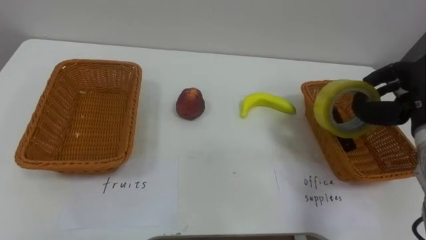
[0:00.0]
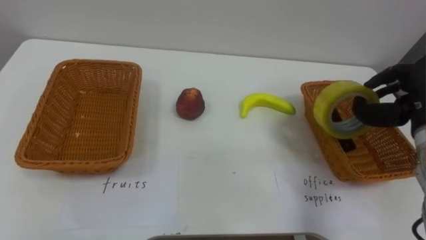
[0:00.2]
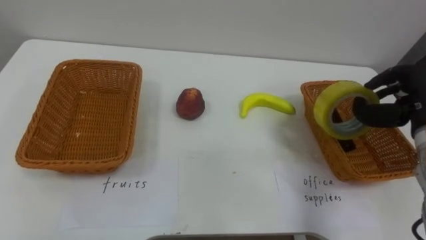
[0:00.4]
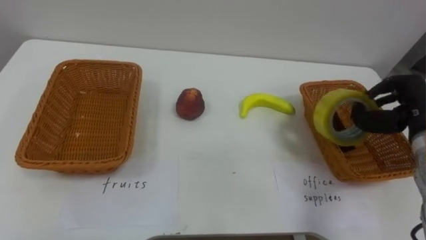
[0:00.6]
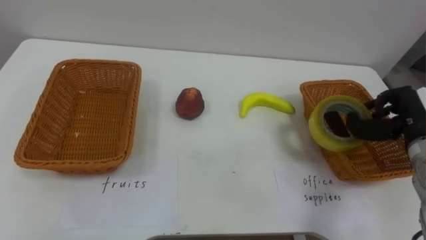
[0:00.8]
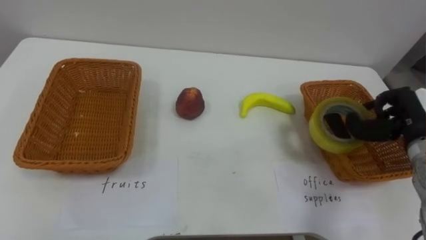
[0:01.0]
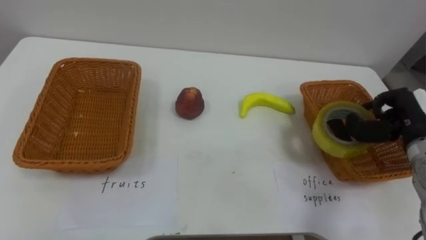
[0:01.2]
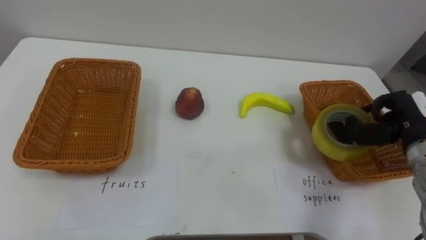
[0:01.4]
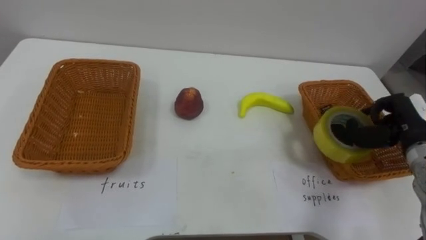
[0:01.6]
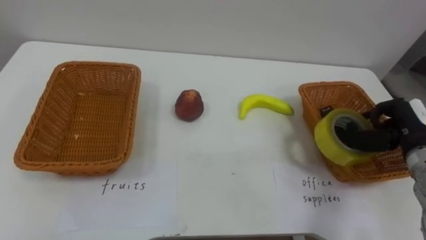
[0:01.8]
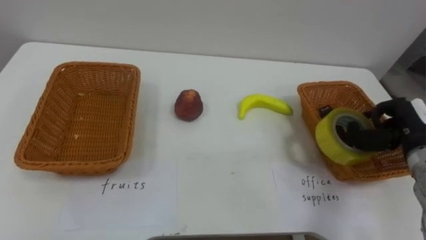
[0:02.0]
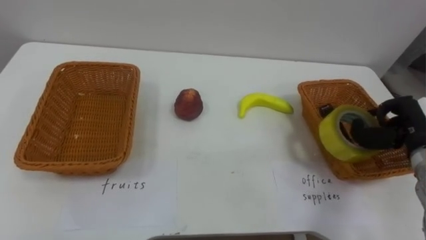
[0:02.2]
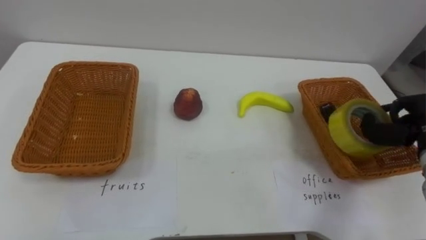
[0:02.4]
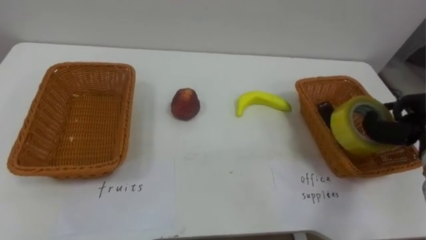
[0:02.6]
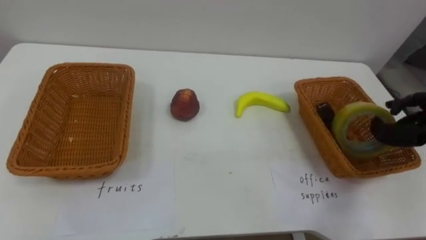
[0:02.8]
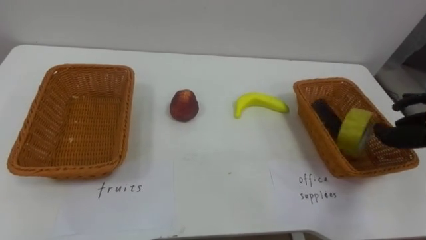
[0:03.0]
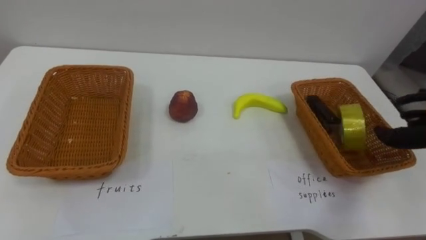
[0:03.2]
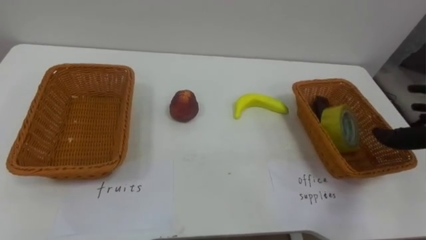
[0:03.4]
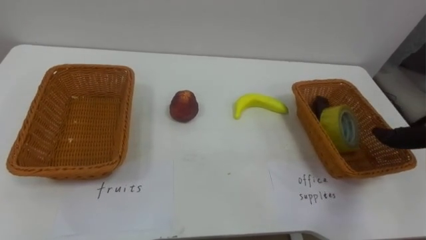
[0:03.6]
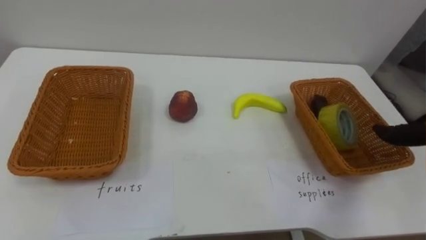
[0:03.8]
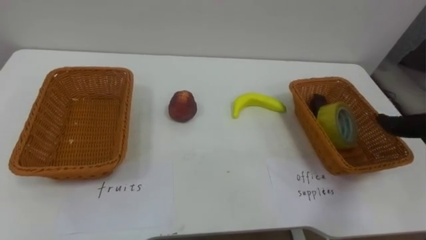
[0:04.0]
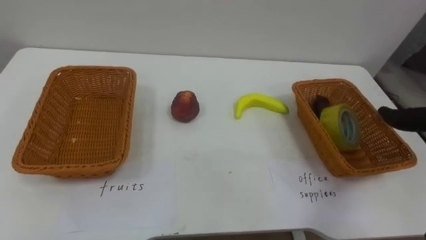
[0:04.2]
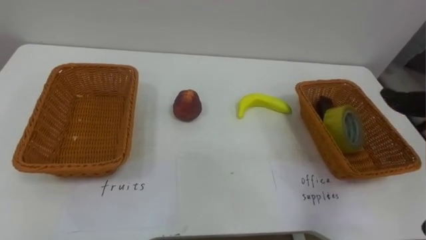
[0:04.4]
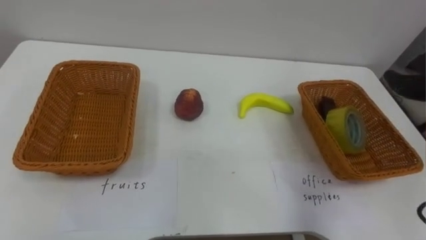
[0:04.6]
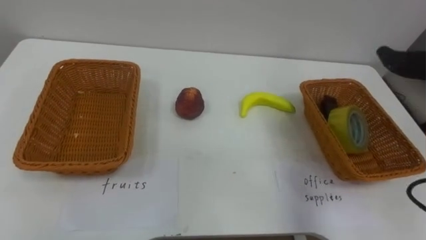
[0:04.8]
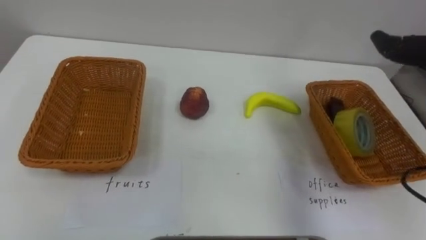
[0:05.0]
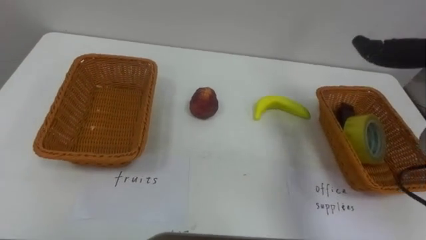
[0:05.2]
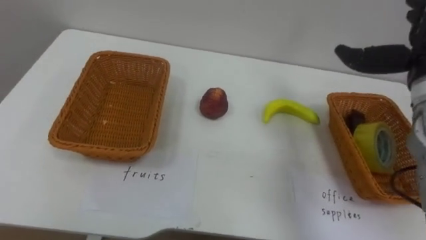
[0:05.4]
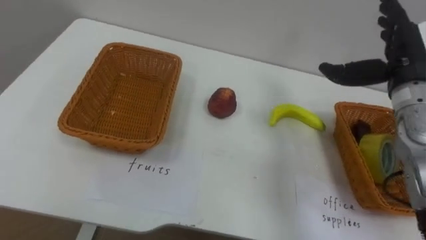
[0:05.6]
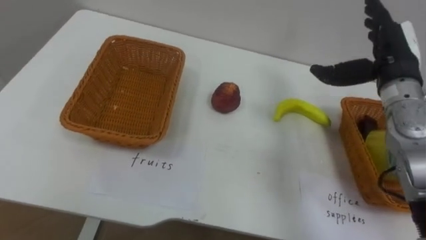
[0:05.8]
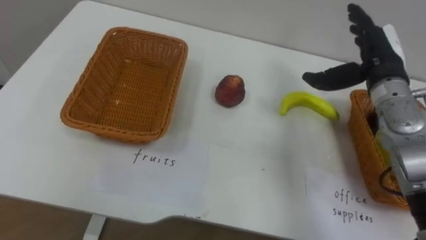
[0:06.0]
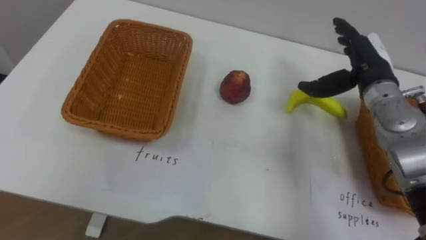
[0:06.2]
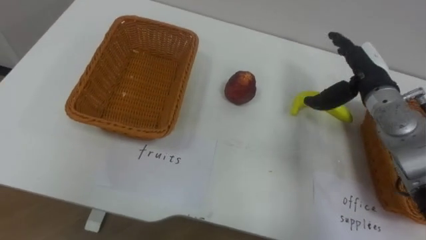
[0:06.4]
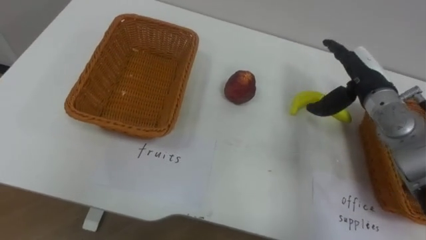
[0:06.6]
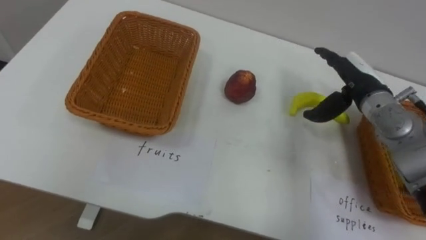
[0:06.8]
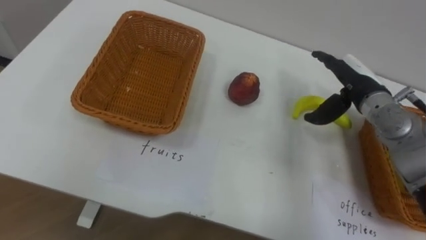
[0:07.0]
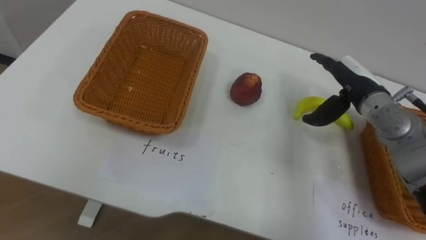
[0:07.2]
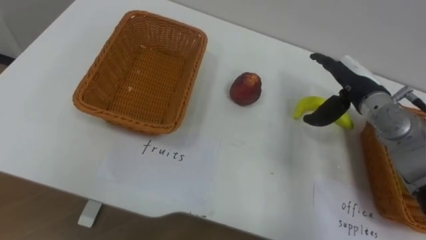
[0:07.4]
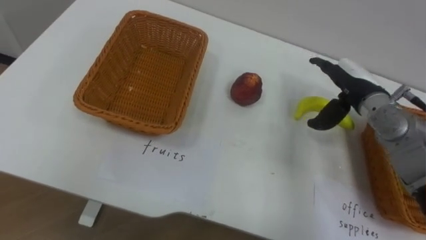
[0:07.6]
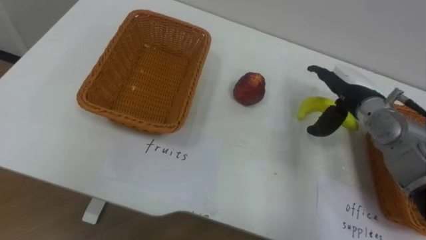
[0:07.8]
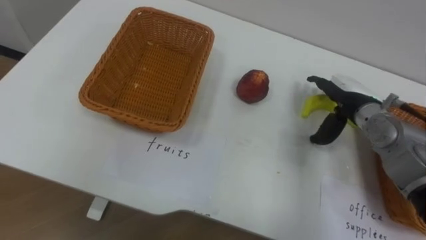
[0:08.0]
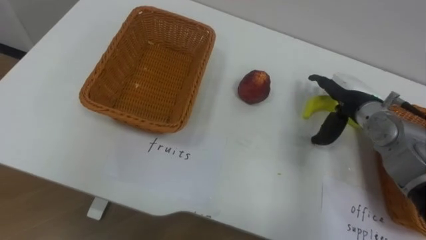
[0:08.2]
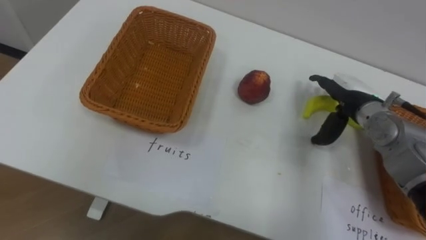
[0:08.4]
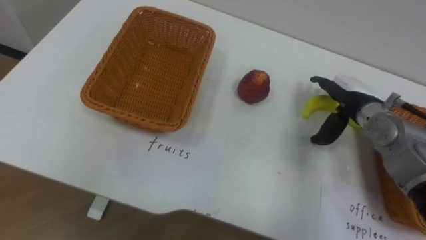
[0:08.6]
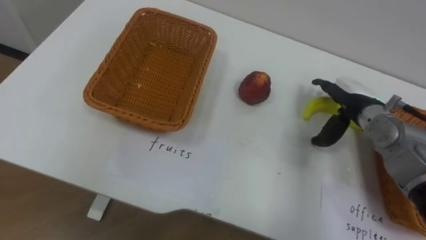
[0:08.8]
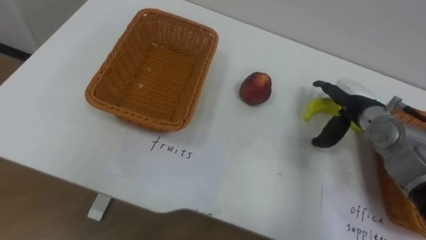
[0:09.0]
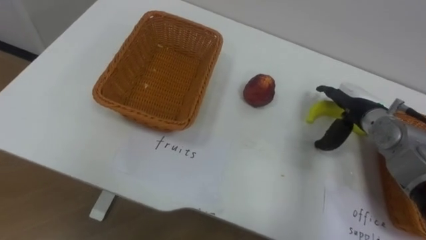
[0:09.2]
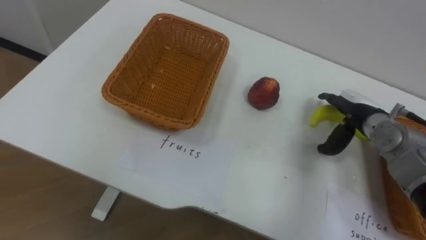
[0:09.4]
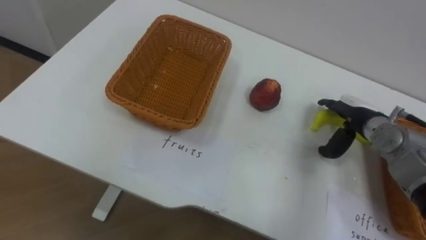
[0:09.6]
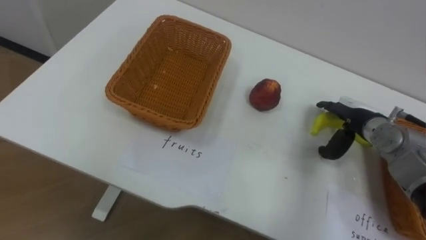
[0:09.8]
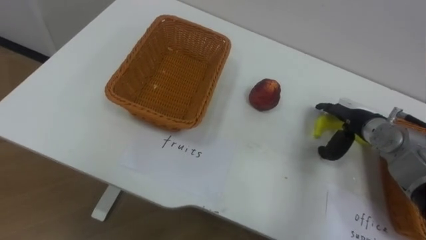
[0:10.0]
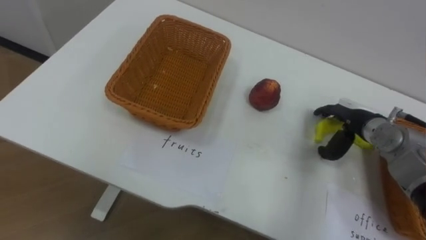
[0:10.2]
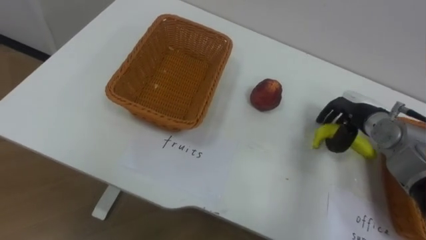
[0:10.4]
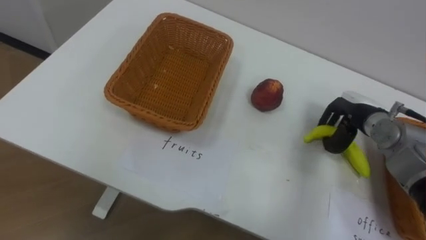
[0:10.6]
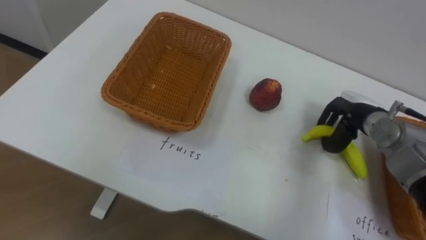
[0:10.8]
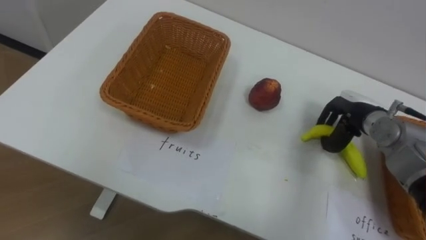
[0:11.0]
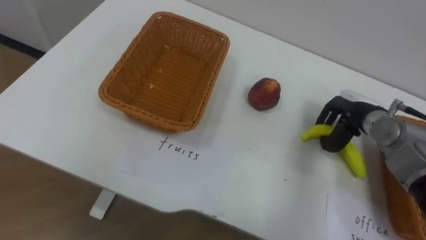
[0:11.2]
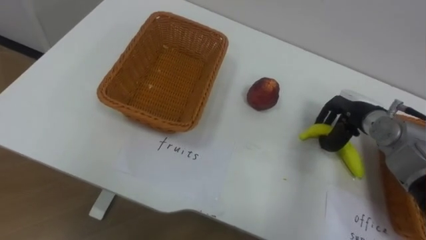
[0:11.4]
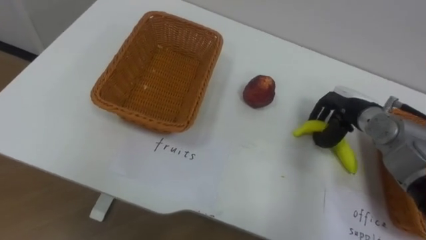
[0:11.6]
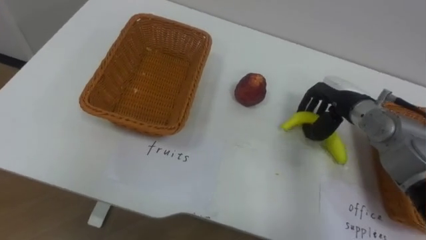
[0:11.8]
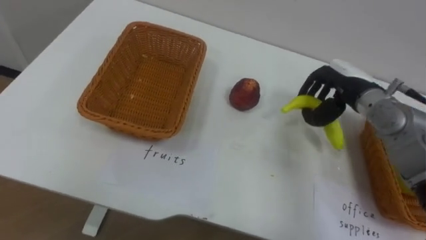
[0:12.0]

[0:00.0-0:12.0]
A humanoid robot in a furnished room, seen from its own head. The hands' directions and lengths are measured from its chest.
Task of the whole recording: Separate the items on the table and place them into the two baskets.
0:00.0 to 0:01.6: The right hand heads downward, covering about 5 cm.
0:06.0 to 0:07.6: The right hand shifts about 5 cm downward.
0:09.0 to 0:10.4: The right hand closes its fingers.
0:10.4 to 0:12.0: The right hand heads upward, covering some 5 cm.

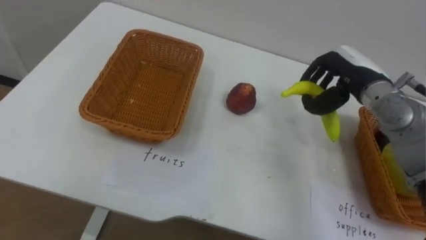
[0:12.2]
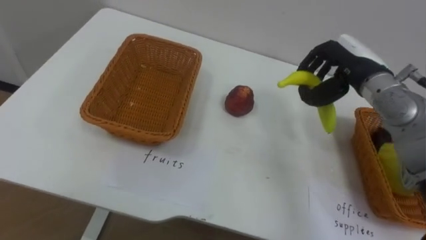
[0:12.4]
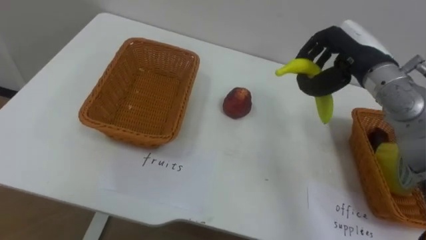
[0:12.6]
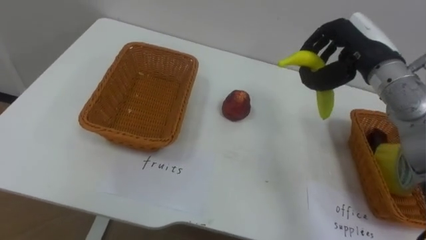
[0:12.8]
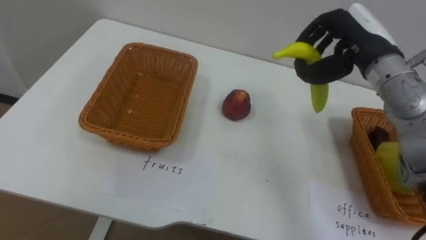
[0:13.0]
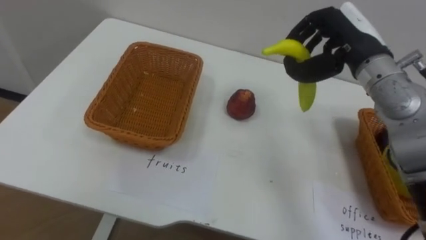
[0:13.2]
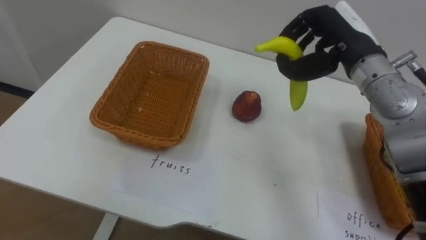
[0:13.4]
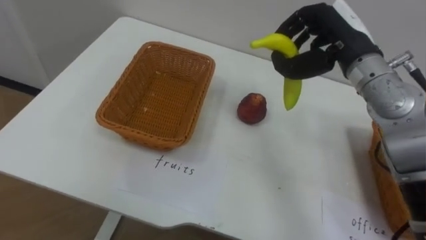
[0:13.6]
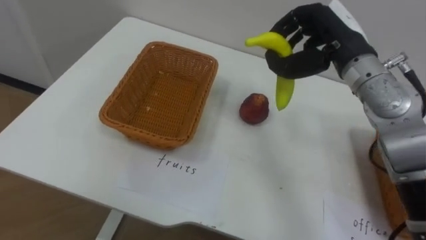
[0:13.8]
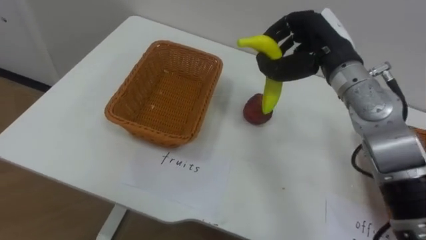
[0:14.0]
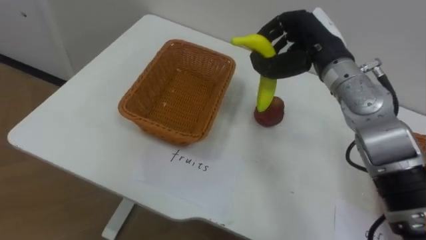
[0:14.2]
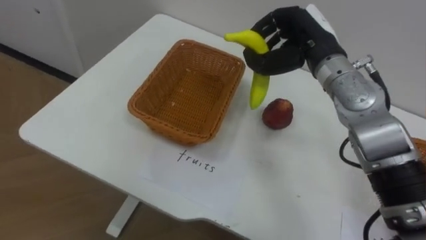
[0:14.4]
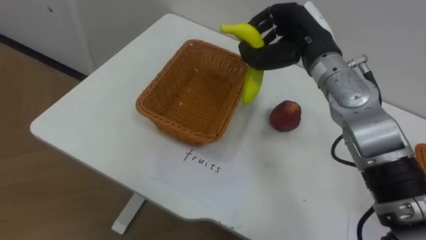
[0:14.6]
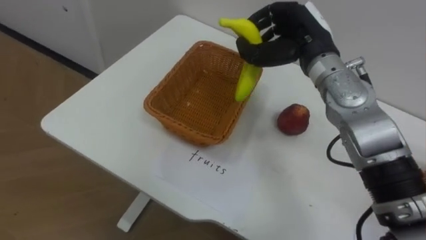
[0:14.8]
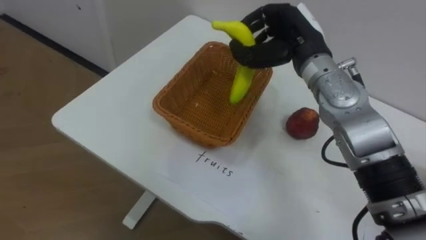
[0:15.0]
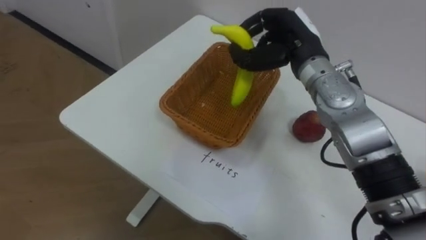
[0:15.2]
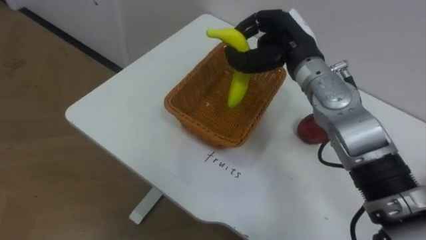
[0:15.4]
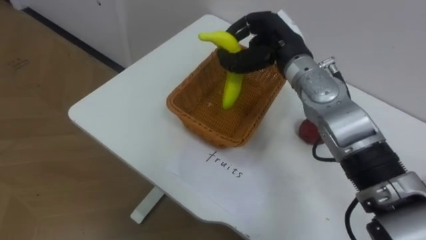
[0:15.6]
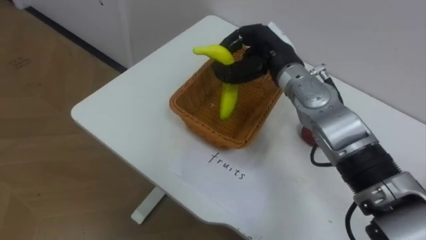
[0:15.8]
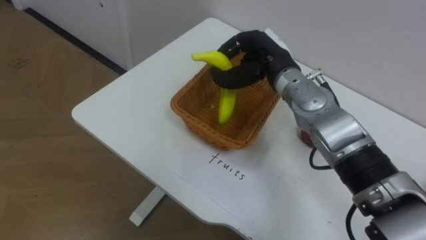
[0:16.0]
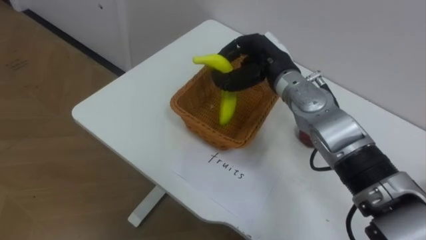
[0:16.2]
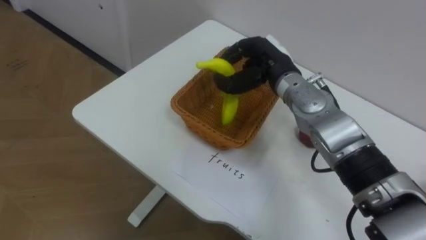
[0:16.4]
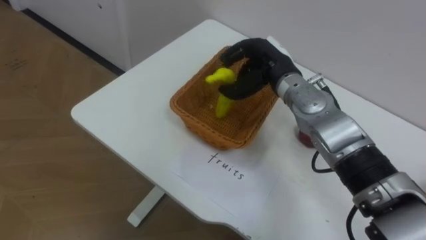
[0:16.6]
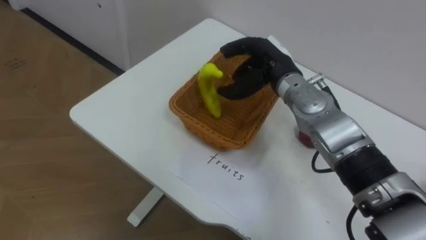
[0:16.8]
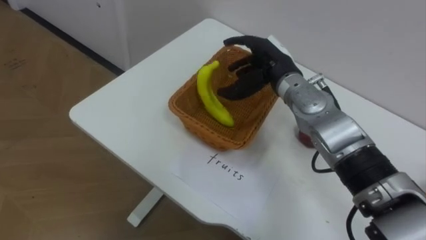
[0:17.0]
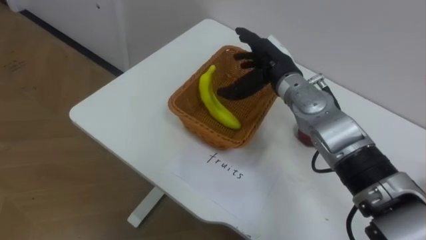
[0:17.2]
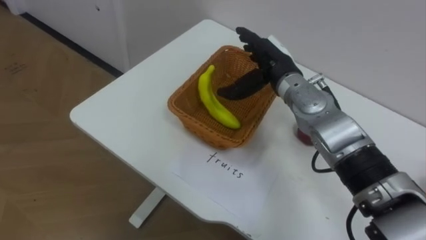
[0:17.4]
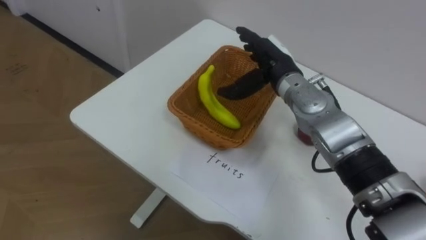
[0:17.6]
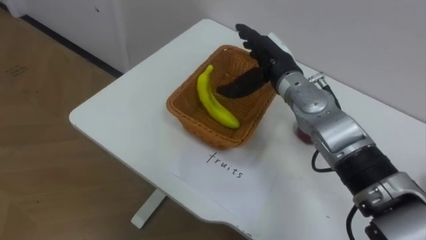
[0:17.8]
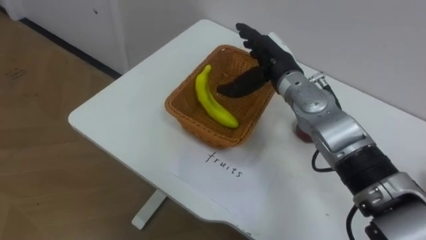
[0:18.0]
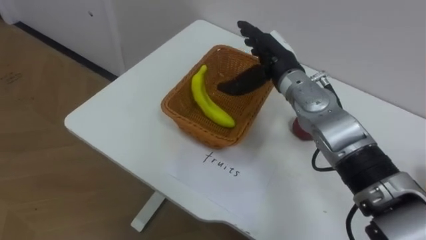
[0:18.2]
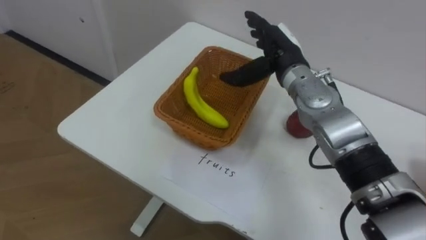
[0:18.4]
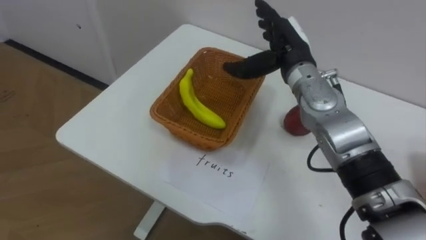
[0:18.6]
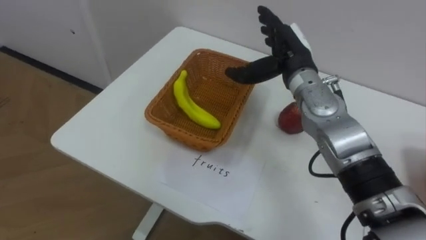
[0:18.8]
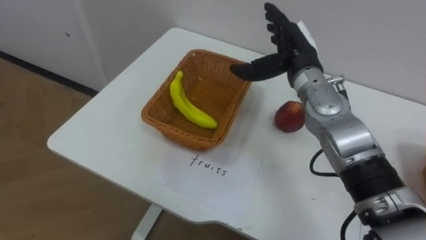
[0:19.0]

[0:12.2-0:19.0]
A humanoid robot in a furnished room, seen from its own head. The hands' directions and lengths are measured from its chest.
Task of the whole recording: Separate the items on the table and place them into the two baskets.
0:12.2 to 0:13.6: The right hand moves upward, approximately 10 cm.
0:13.6 to 0:15.0: The right hand moves to the left, roughly 5 cm.
0:15.0 to 0:16.2: The right hand moves downward, approximately 5 cm.
0:16.2 to 0:17.6: The right hand opens its fingers.
